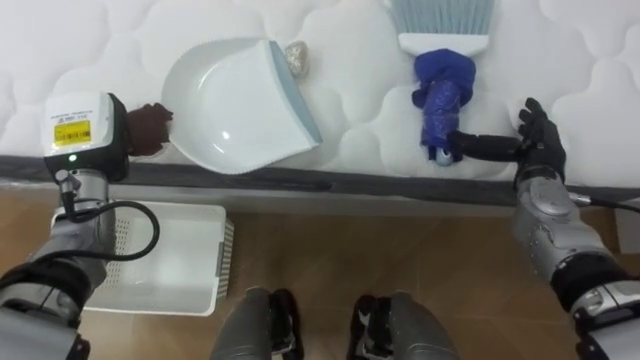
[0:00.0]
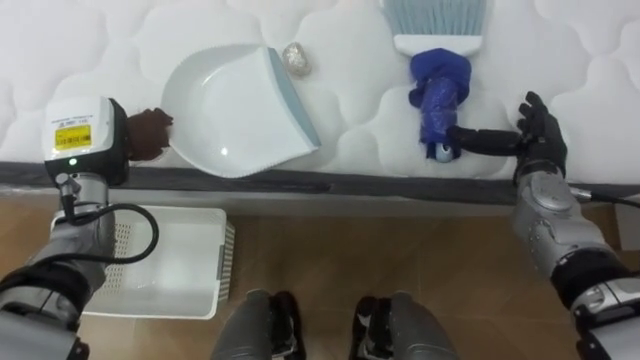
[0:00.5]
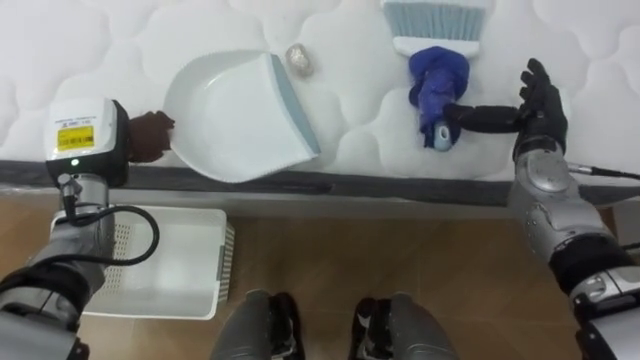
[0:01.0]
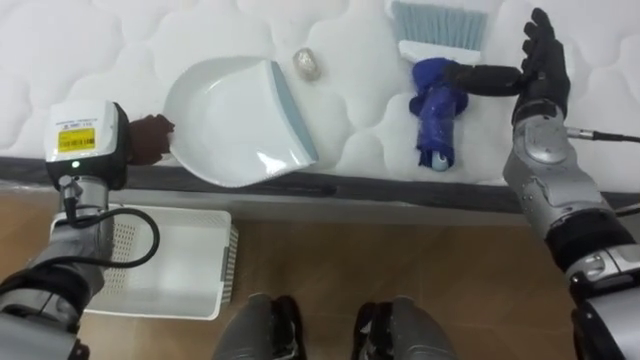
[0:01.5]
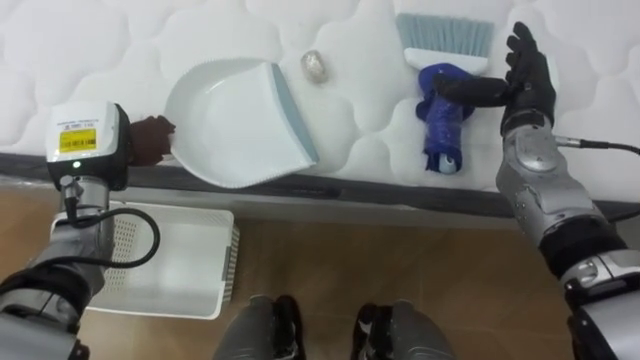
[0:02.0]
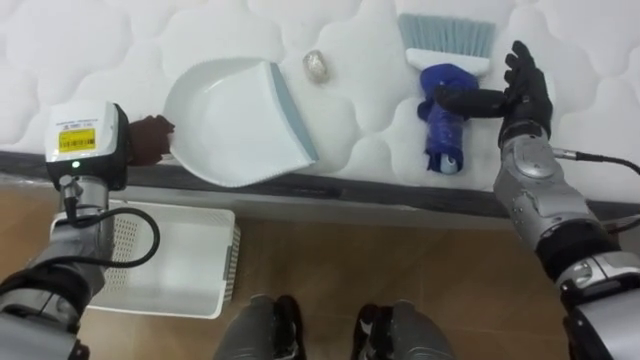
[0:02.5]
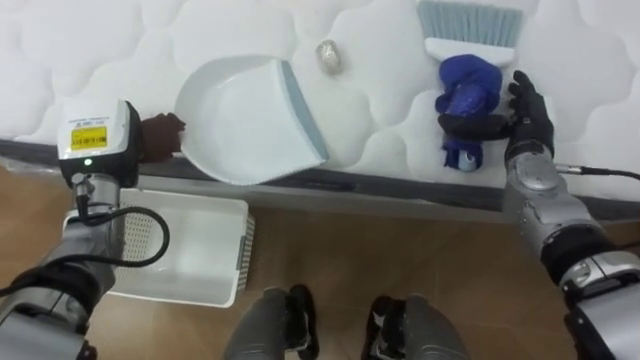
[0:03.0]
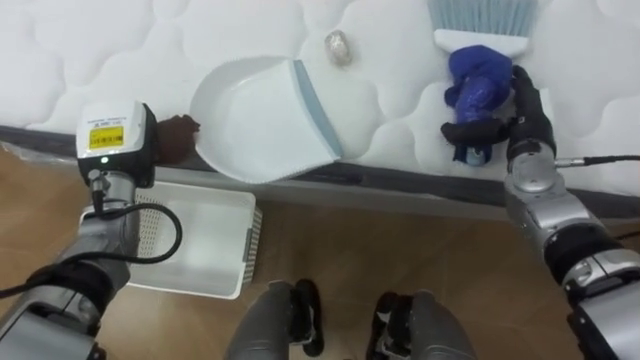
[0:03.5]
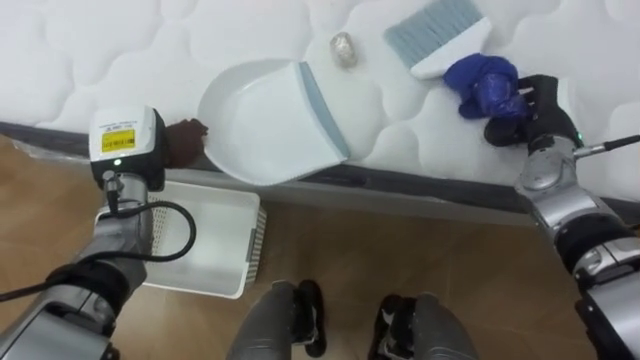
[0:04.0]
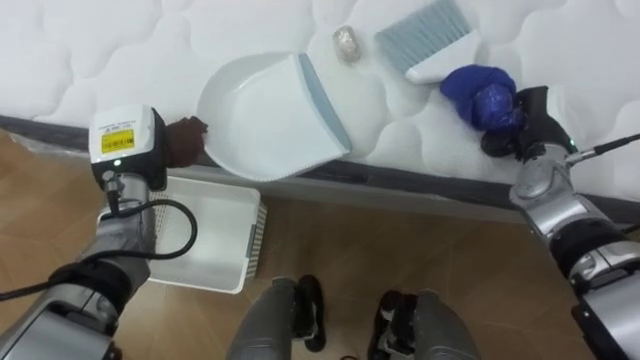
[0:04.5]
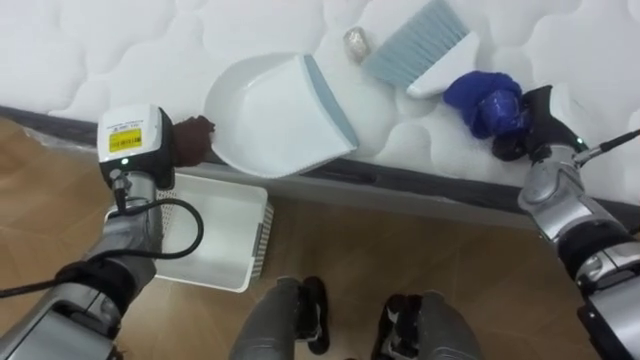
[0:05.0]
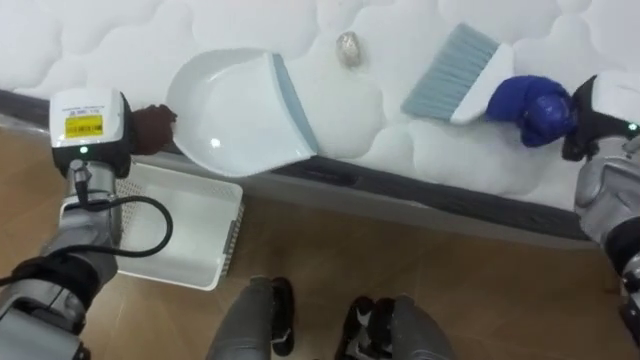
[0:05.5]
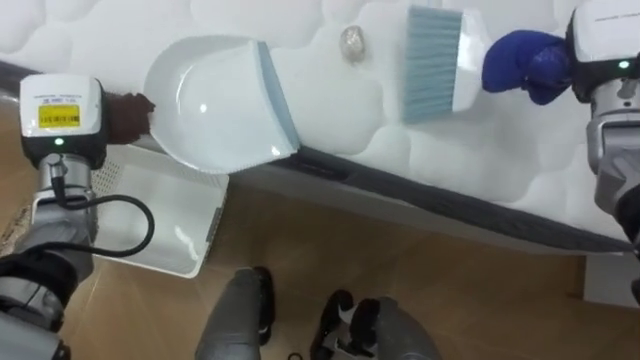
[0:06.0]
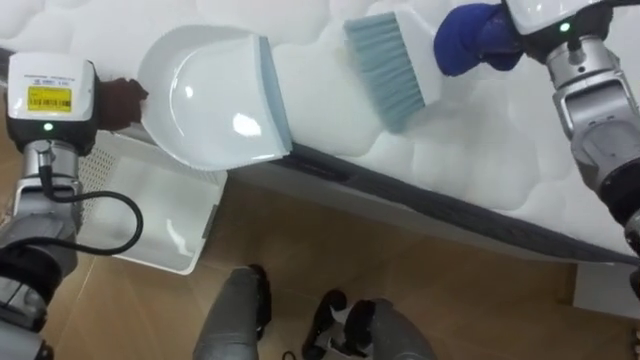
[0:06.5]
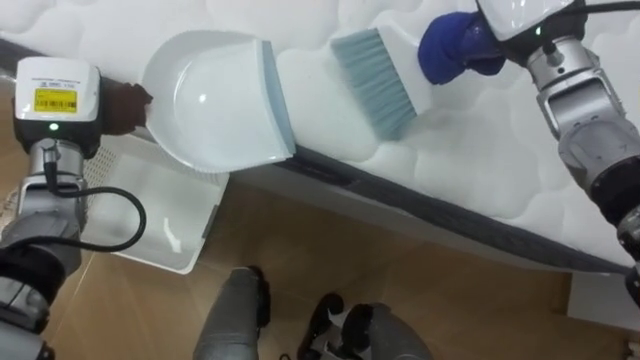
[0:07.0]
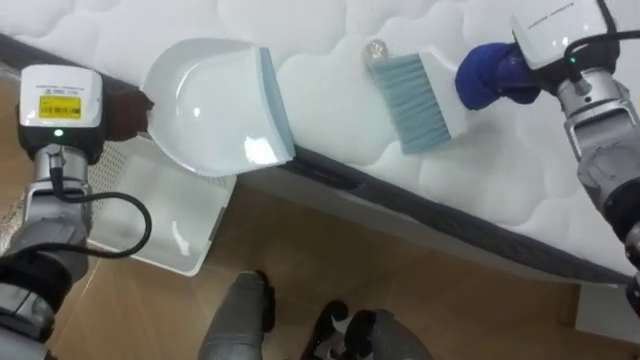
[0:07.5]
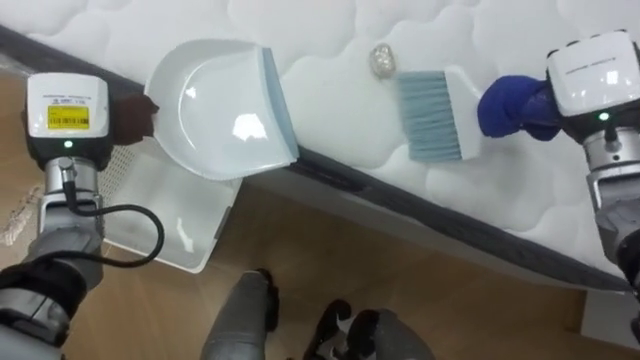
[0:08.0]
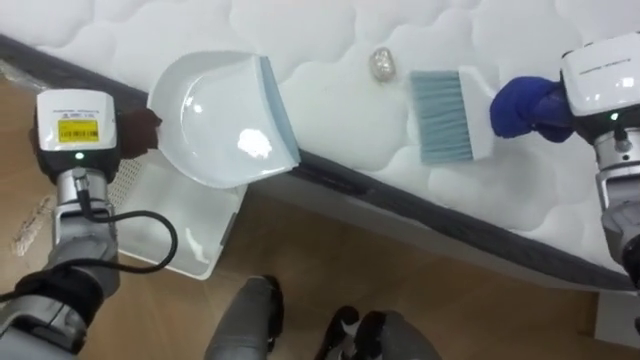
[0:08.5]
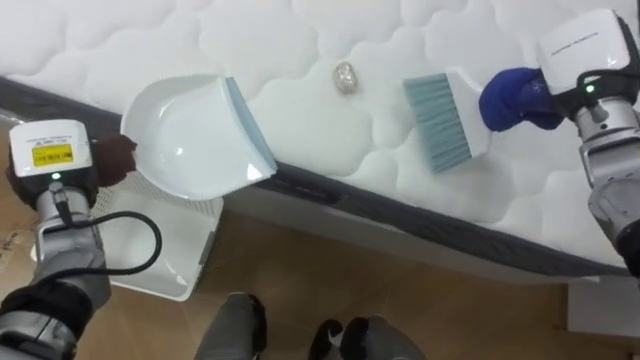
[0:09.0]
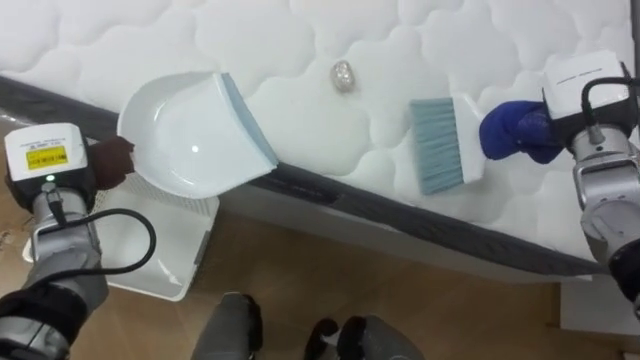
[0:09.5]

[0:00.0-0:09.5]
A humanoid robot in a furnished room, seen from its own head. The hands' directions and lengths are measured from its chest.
Task of the whole recording: Pick up the brush on your right and the dustpan on your left. Use the brush to sweep the crumpled paper on the bed into the dustpan, then turn left and empty it into the basket.
0:00.0 to 0:02.0: The right hand travels upward by roughly 10 cm.
0:02.0 to 0:04.0: The right hand shifts by some 5 cm, and closes up.
0:04.0 to 0:05.5: The right hand heads to the right, covering approximately 5 cm, and closes up.
0:07.5 to 0:09.5: The left hand is displaced downward by roughly 5 cm, while the right hand travels downward and to the right by about 10 cm.

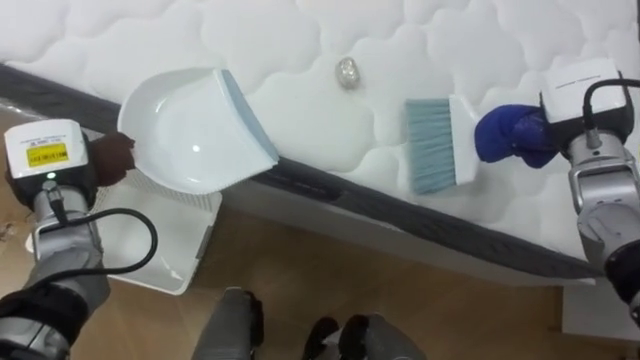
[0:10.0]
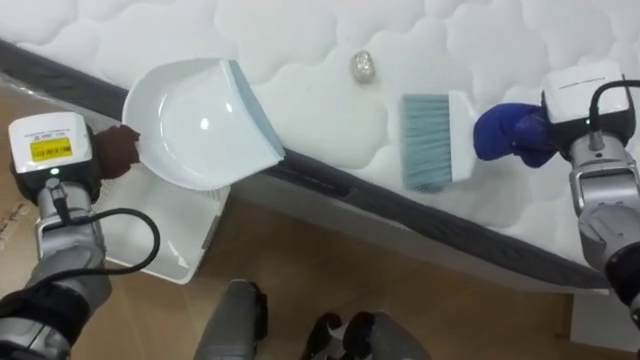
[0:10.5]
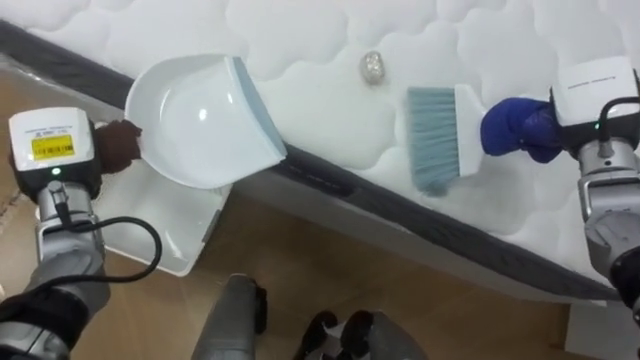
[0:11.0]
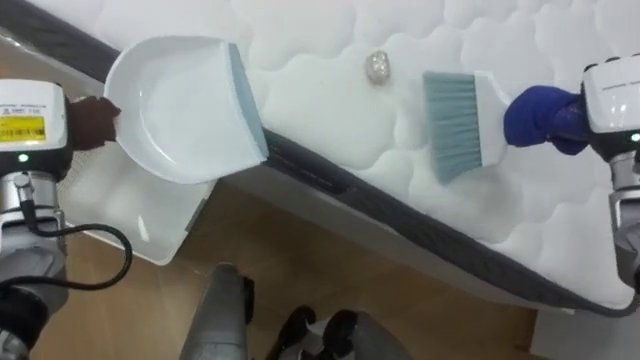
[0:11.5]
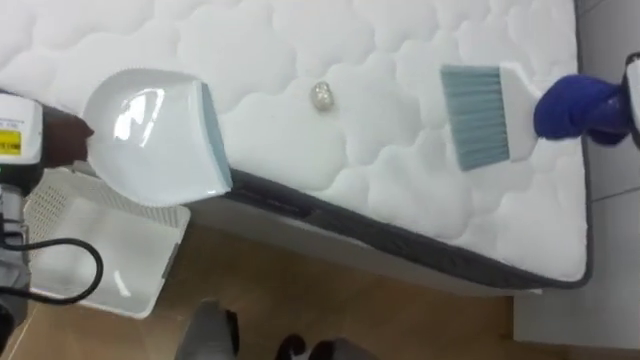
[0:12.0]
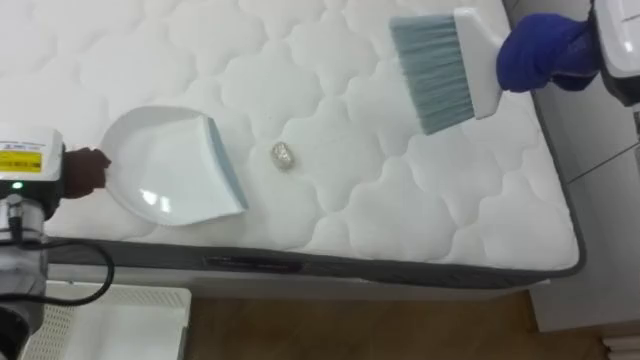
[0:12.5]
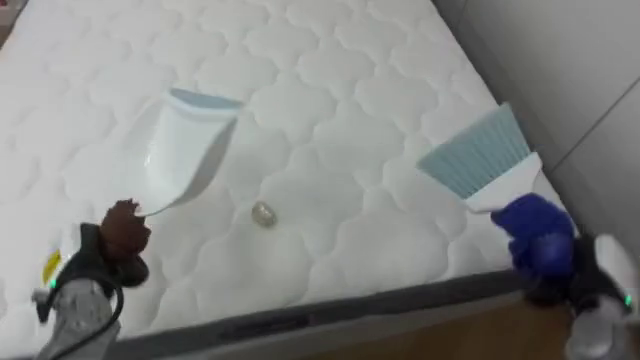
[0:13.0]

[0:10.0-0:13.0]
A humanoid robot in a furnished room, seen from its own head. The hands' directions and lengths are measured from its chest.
Task of the whole recording: Pick up the brush on your right and the dustpan on your left. Use the brush to sweep the crumpled paper on the bed into the dustpan, then turn left and empty it into the basket.
0:10.0 to 0:11.5: The left hand shifts about 5 cm upward.
0:11.5 to 0:13.0: The robot turns to its right by about 20 degrees. The left hand travels downward and backward by approximately 15 cm.

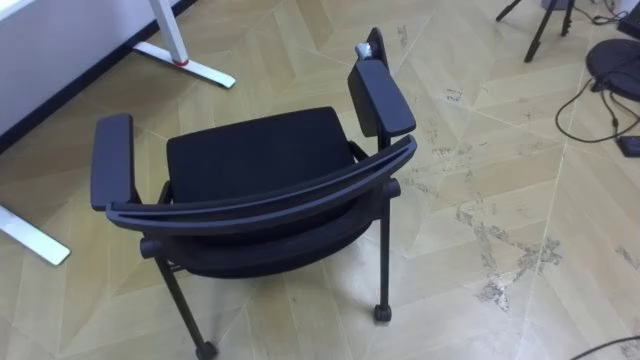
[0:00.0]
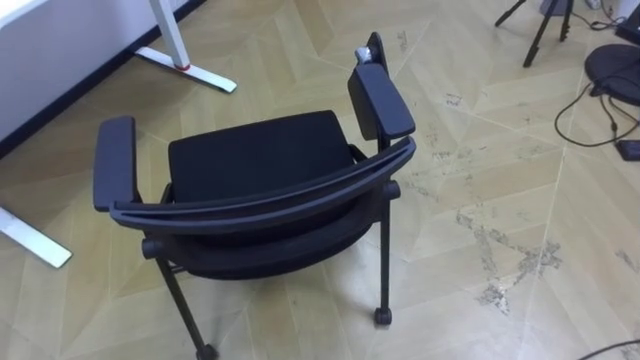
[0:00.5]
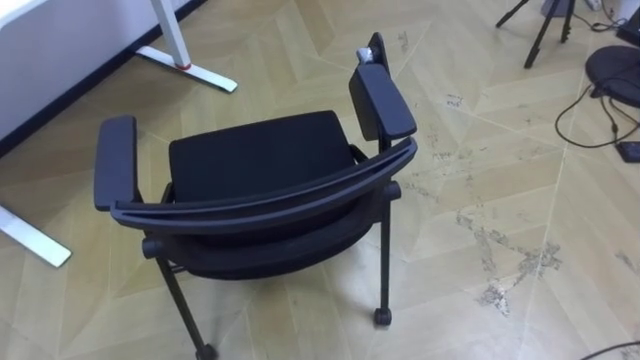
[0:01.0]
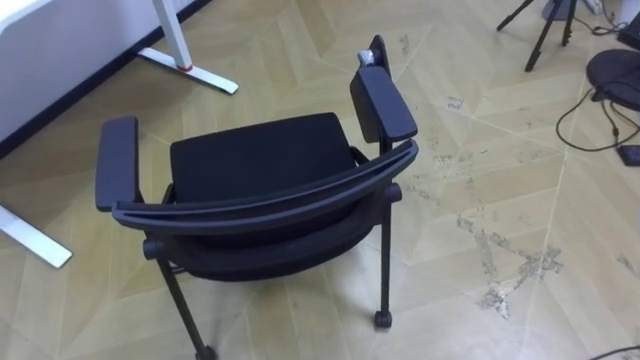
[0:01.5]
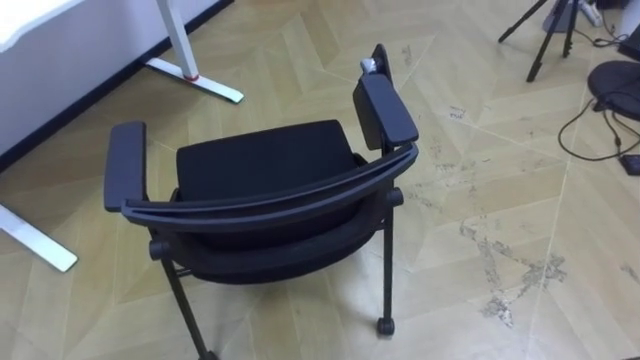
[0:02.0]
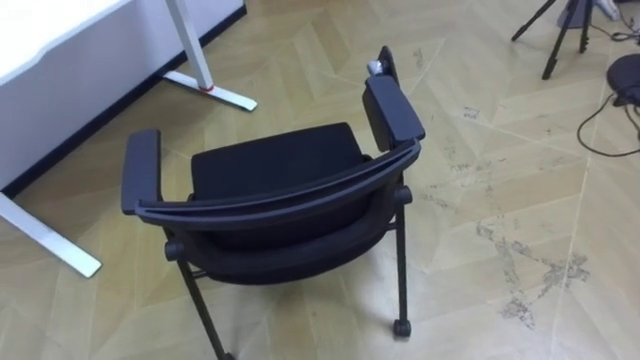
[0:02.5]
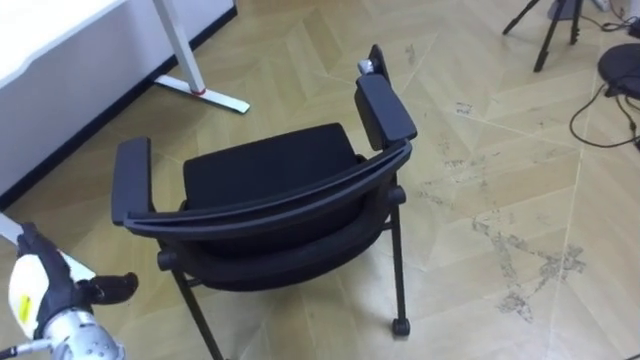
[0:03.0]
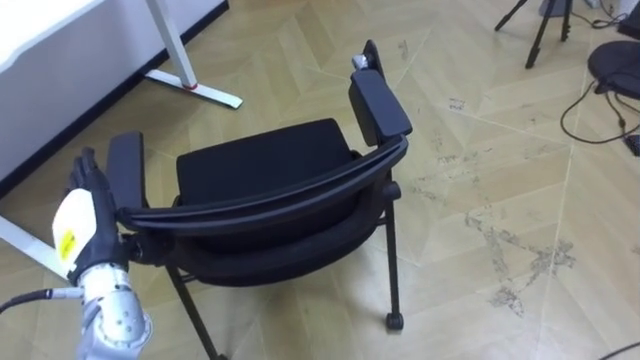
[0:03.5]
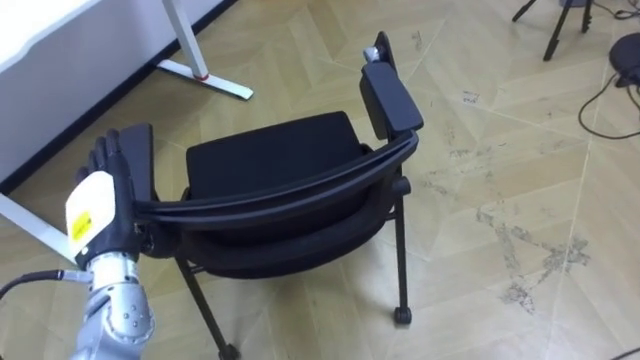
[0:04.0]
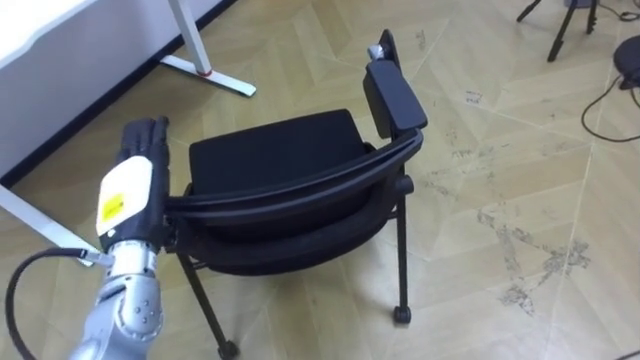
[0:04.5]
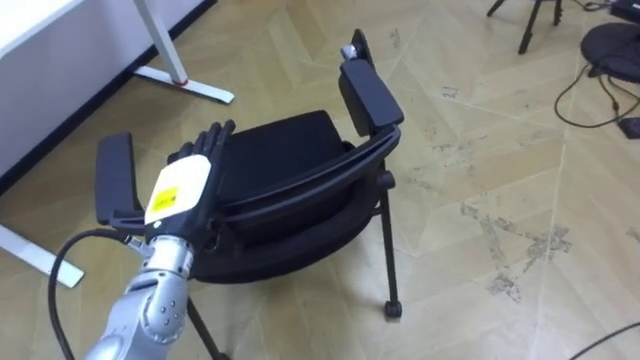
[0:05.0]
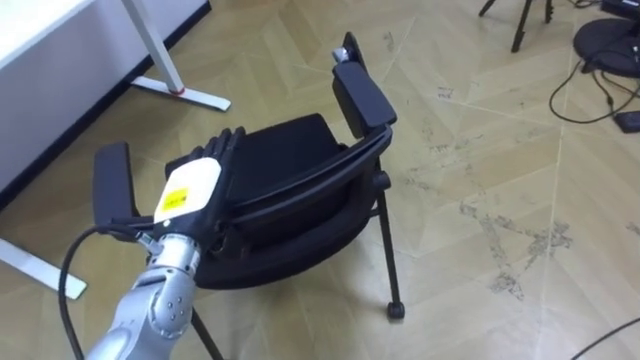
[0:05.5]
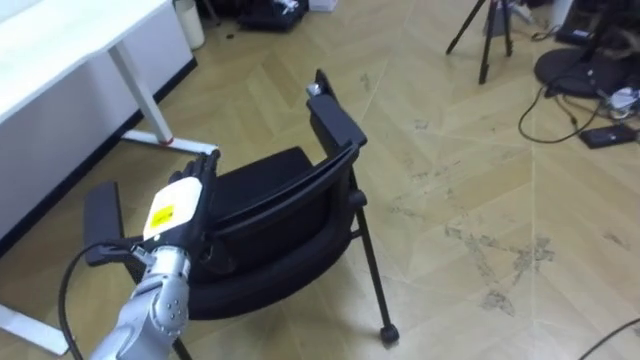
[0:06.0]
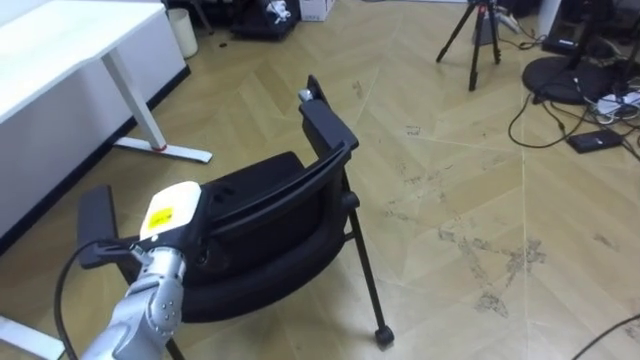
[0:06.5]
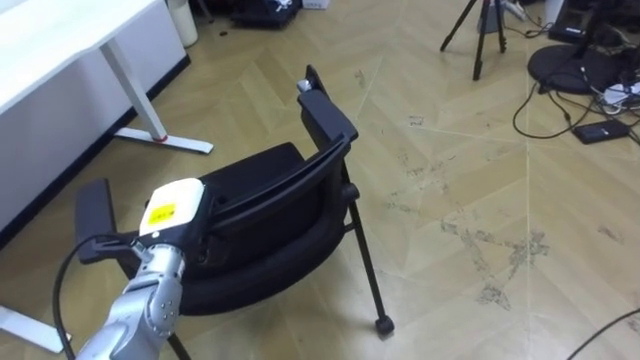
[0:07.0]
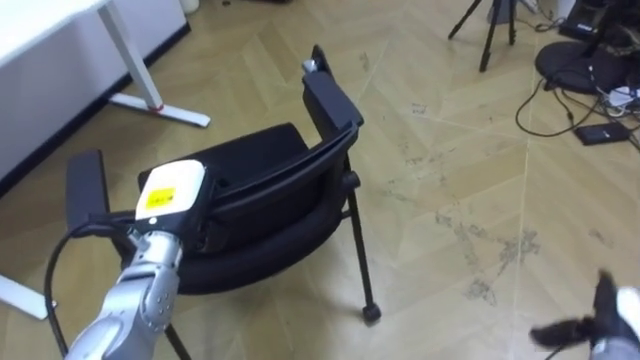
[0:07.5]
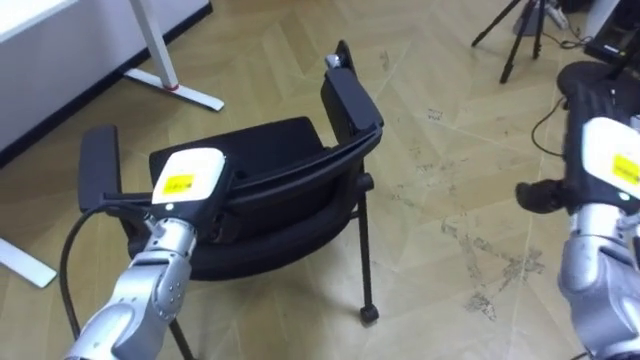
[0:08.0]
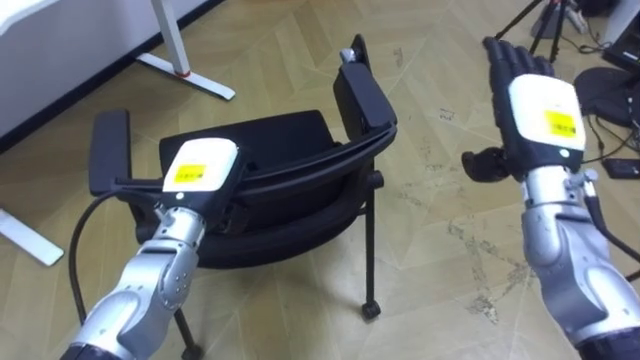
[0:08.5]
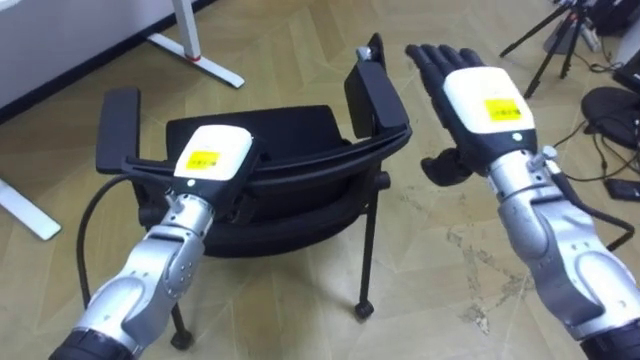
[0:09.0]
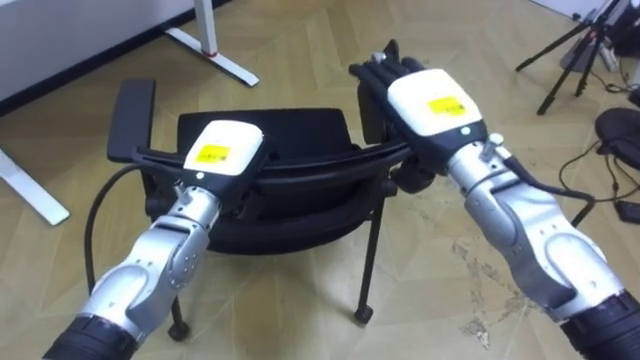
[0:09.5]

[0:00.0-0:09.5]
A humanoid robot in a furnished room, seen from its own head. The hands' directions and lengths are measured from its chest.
Task of the whole recording: Push the chair under the table.
0:04.0 to 0:05.5: The left hand is displaced to the right by some 10 cm.
0:05.5 to 0:07.5: The left hand closes.
0:07.5 to 0:09.5: The left hand travels to the right by approximately 5 cm. The right hand travels to the left, upward and forward by roughly 40 cm.
